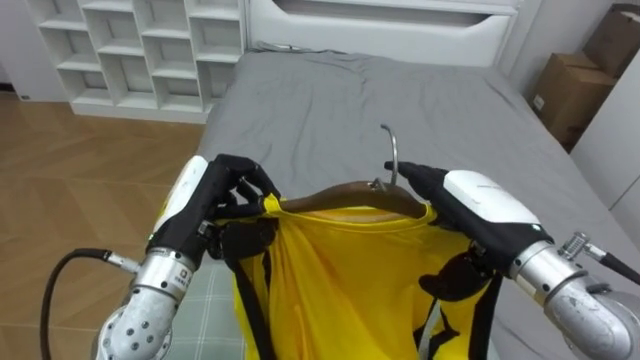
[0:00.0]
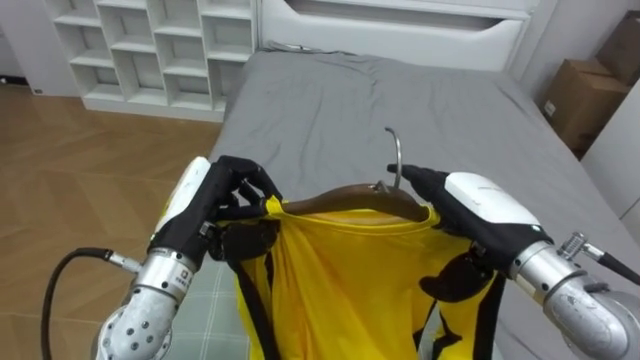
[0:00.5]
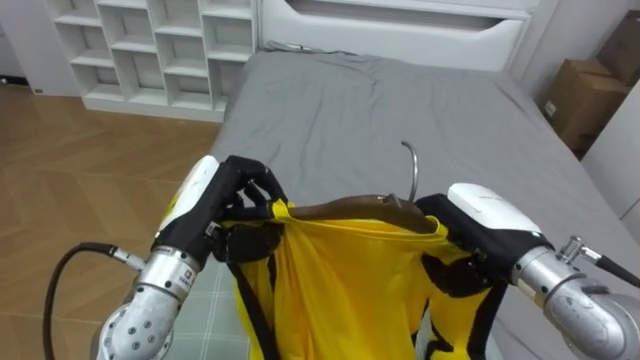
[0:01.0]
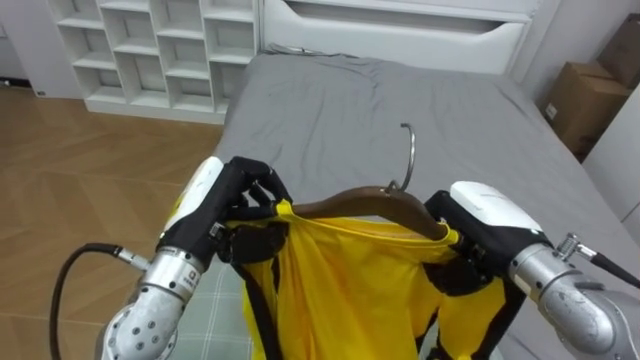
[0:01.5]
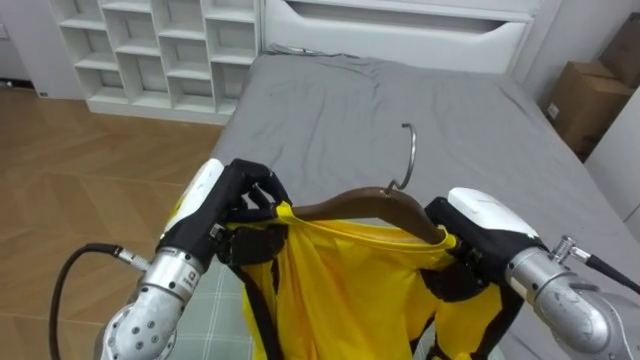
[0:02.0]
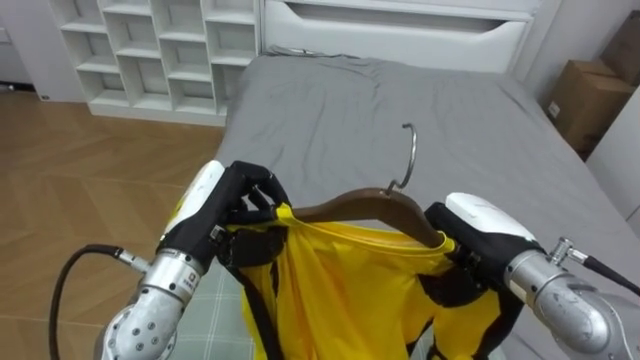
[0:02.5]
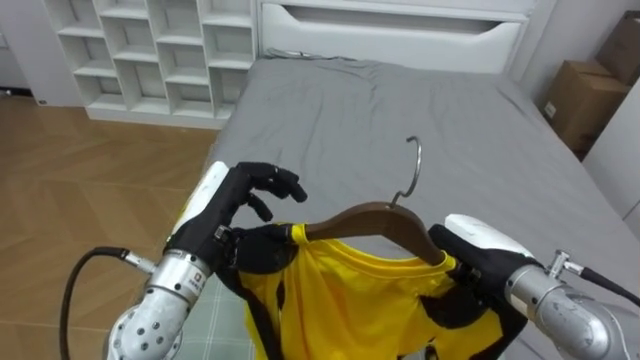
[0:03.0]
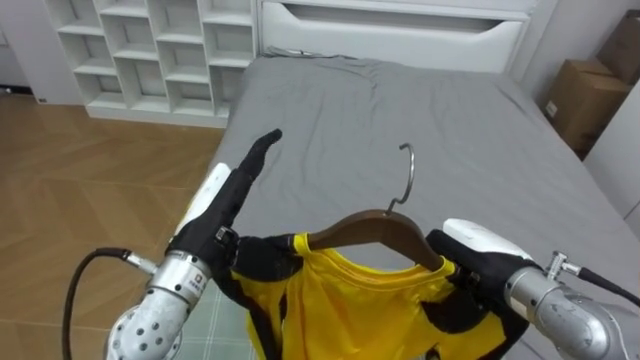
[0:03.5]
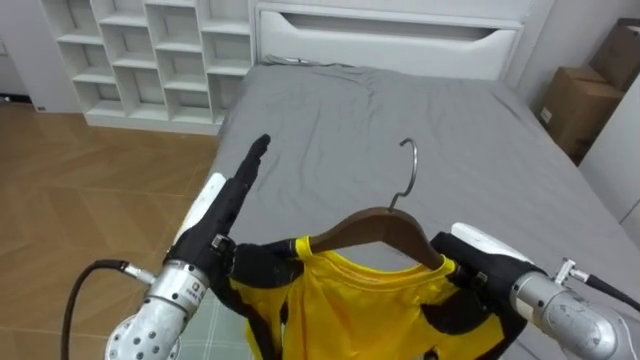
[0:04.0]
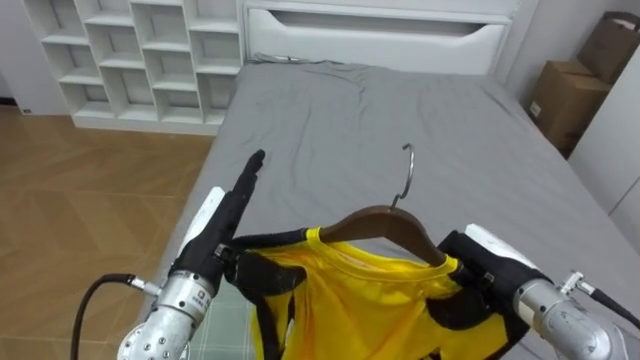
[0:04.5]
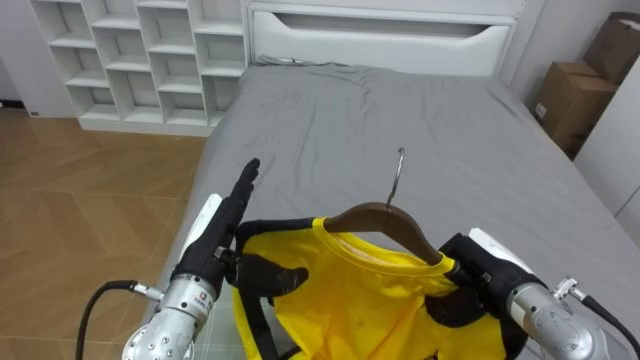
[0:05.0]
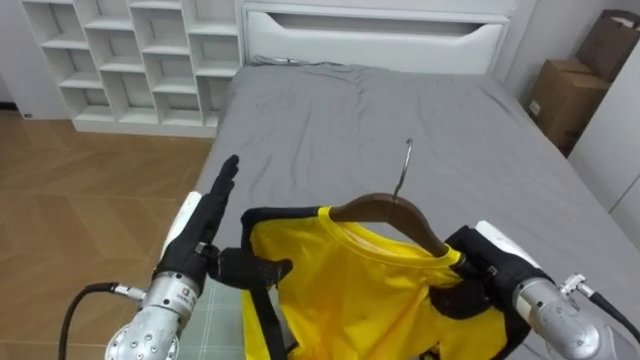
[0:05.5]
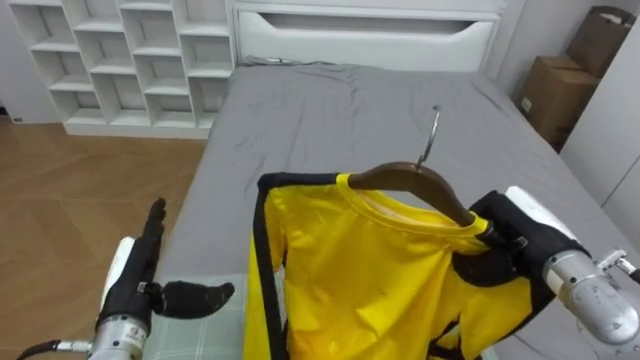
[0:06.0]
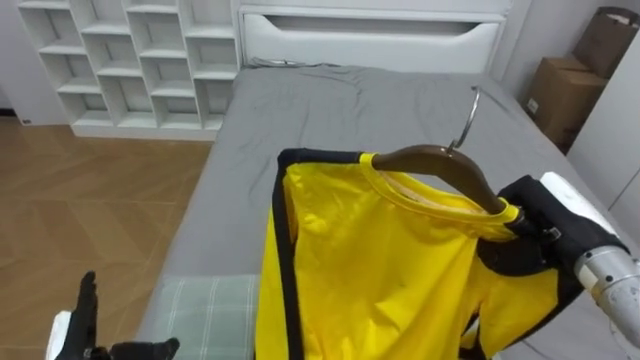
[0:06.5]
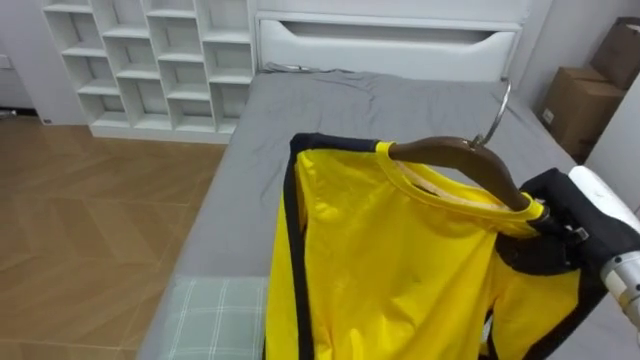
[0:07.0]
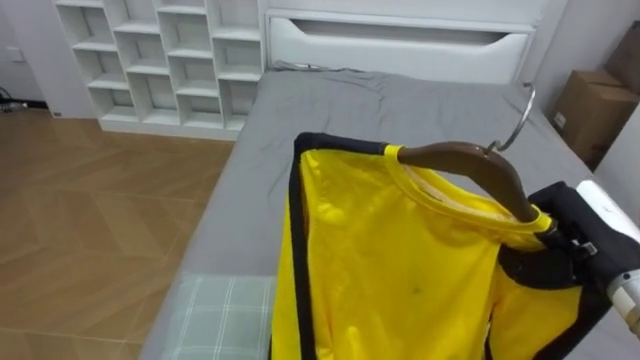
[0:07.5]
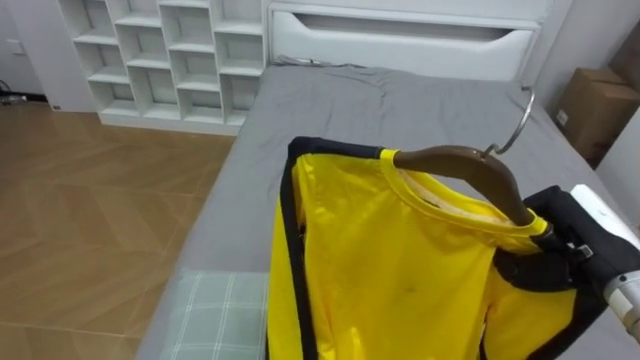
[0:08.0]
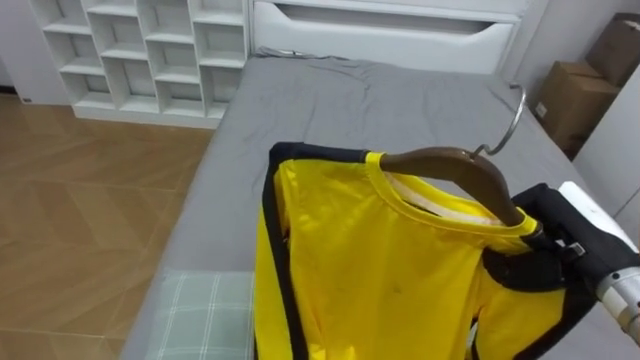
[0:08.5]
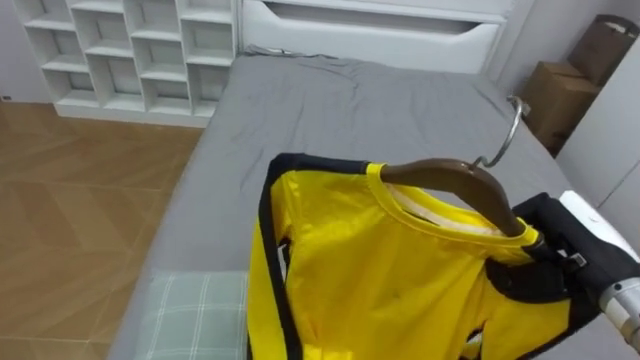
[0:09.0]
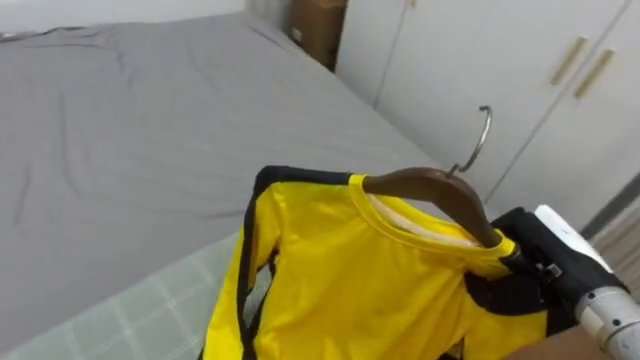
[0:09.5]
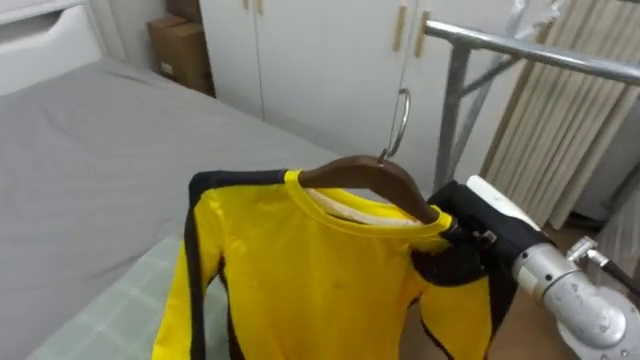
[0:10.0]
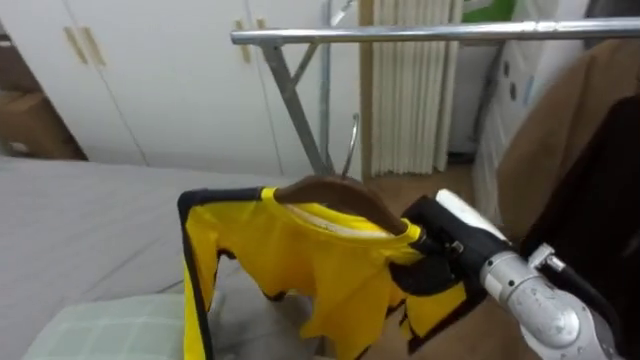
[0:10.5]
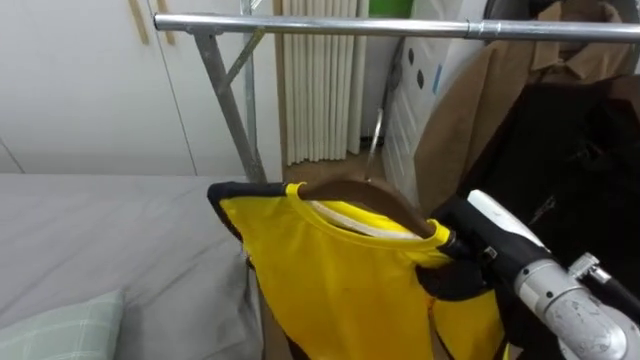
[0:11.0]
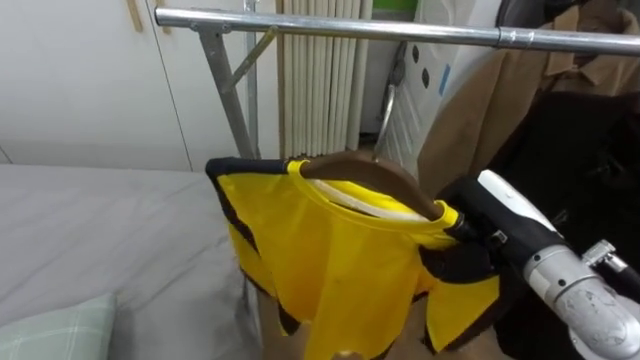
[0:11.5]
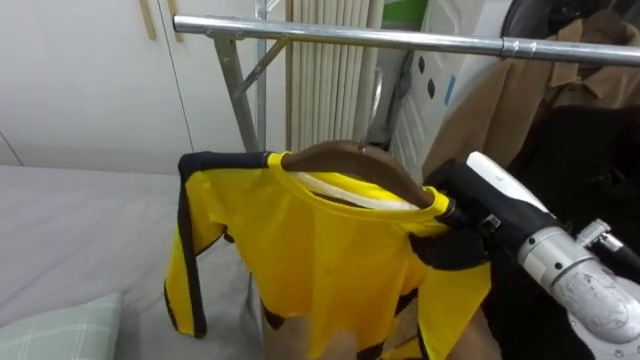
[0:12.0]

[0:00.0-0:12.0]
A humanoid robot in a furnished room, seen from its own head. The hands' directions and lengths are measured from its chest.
Task of the whole recording: Pick up the yellow shirt on the bed and hang it on the clothes rack on the right.
0:00.0 to 0:02.0: The right hand closes.
0:02.0 to 0:04.0: The left hand opens its fingers.
0:04.0 to 0:06.0: The left hand heads to the left and downward, covering some 10 cm. The right hand ends up roughly 5 cm from where it was.
0:06.0 to 0:08.0: The right hand changes place by about 5 cm.
0:08.0 to 0:10.0: The robot's body swings about 60 degrees to its right. The right hand moves to the left, some 10 cm.
0:10.0 to 0:12.0: The robot turns to its right by some 35 degrees.

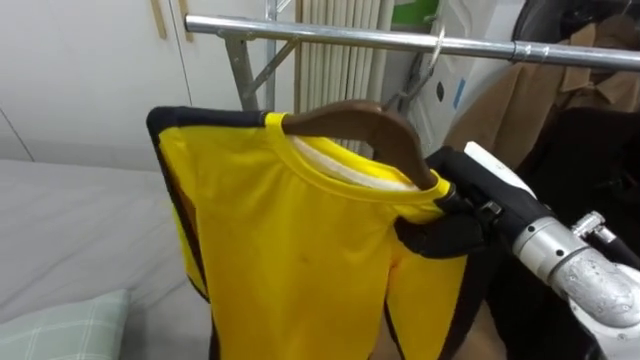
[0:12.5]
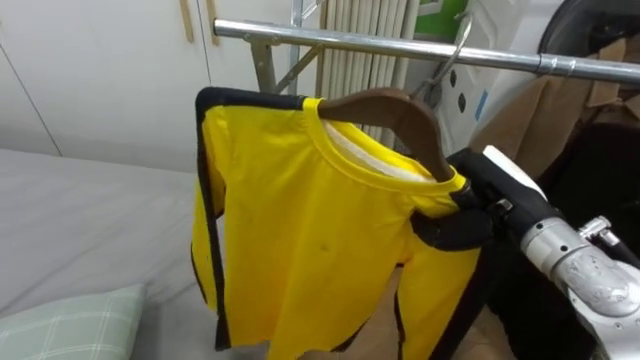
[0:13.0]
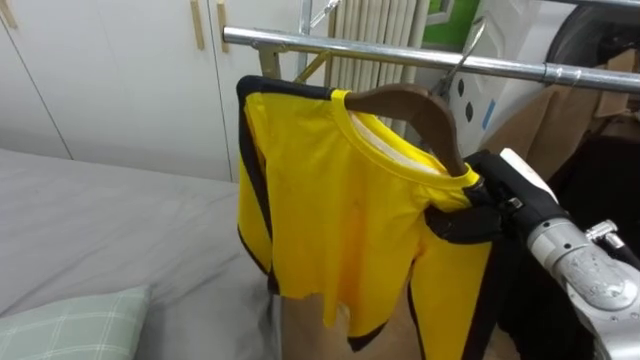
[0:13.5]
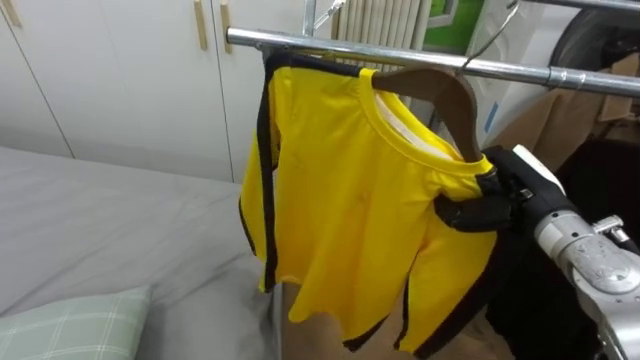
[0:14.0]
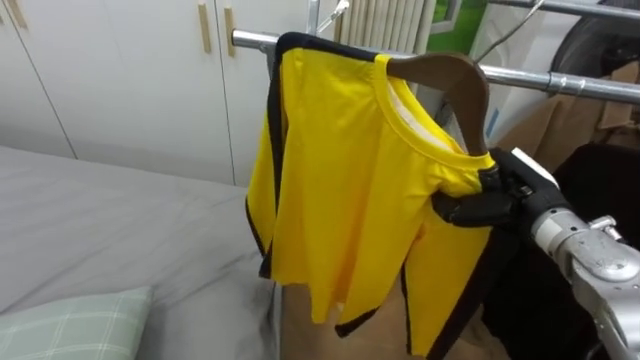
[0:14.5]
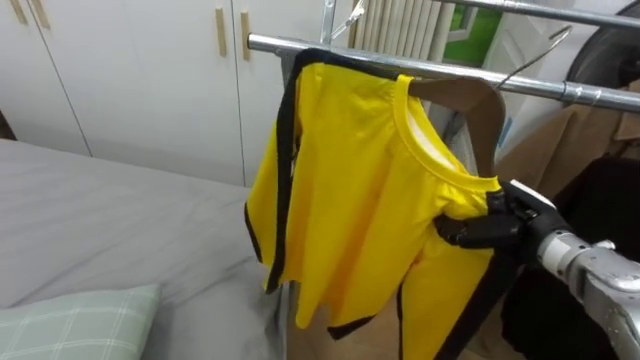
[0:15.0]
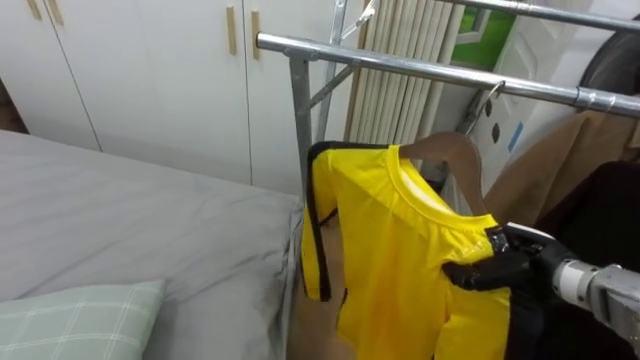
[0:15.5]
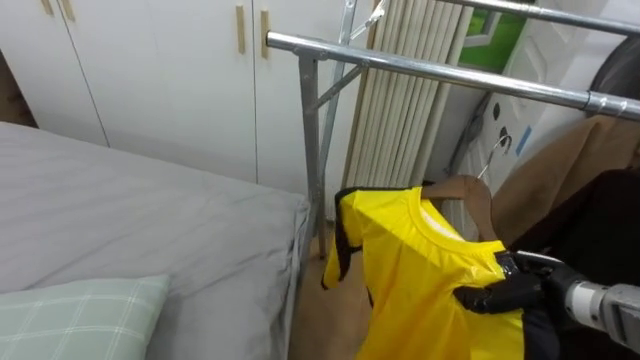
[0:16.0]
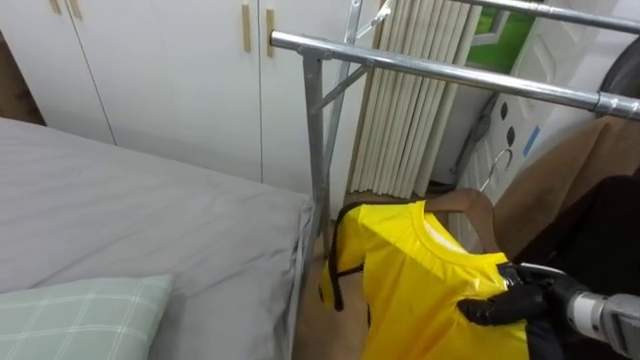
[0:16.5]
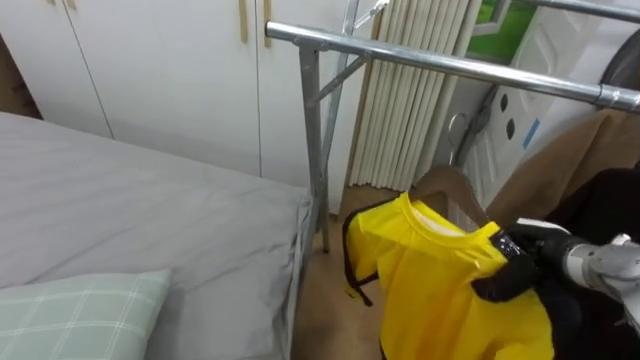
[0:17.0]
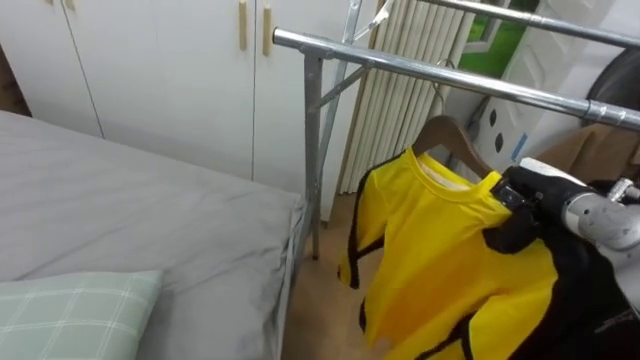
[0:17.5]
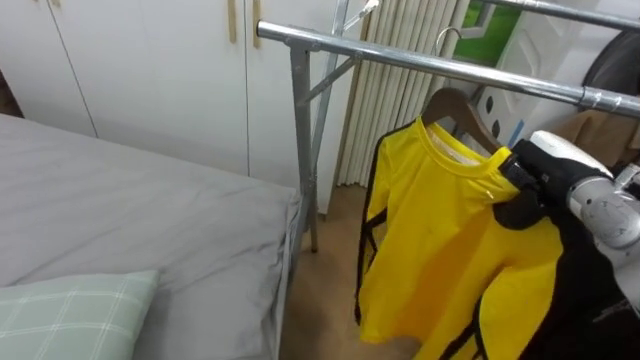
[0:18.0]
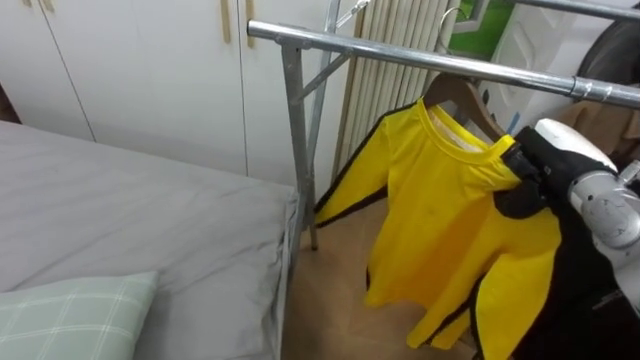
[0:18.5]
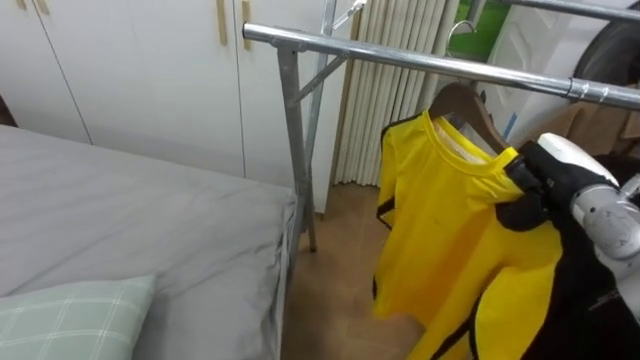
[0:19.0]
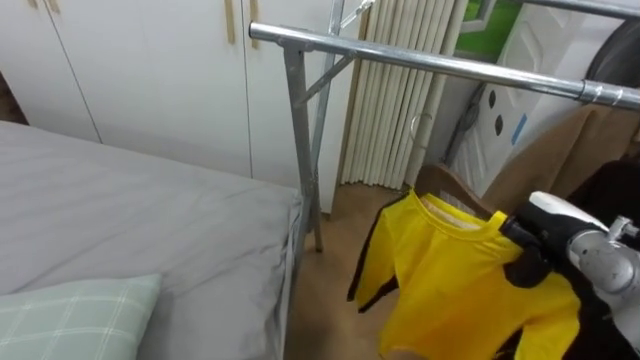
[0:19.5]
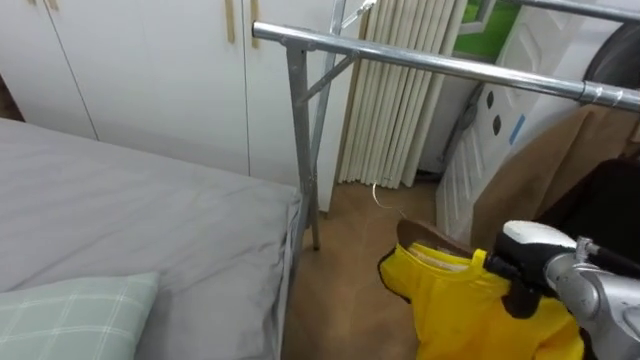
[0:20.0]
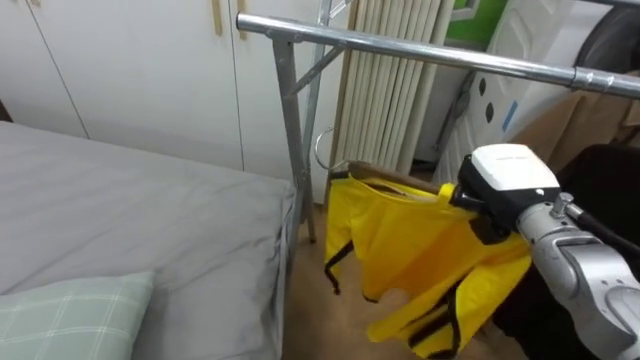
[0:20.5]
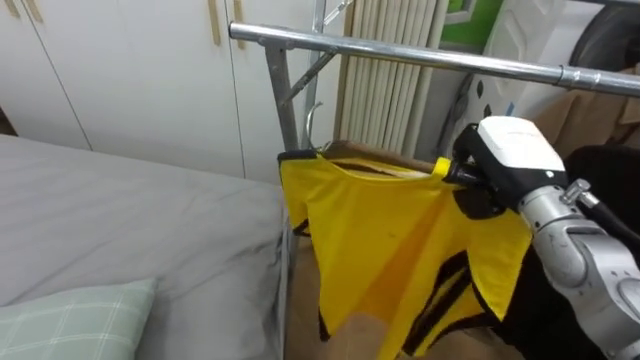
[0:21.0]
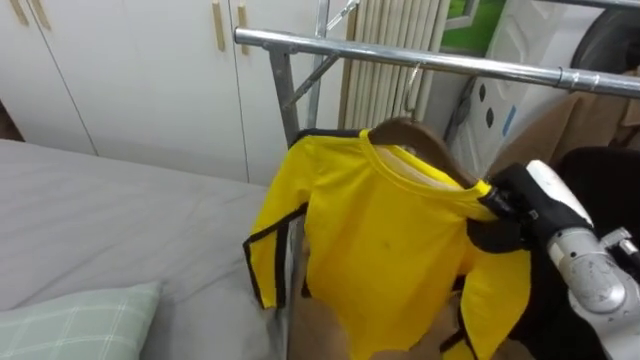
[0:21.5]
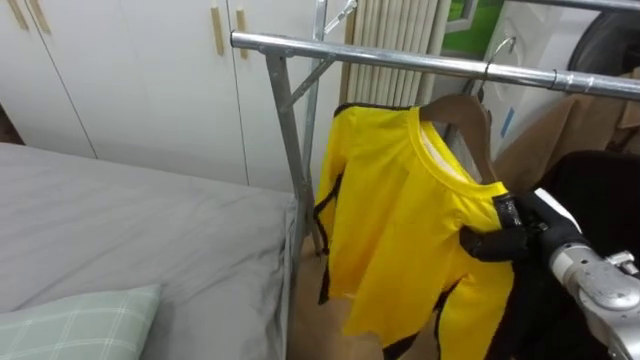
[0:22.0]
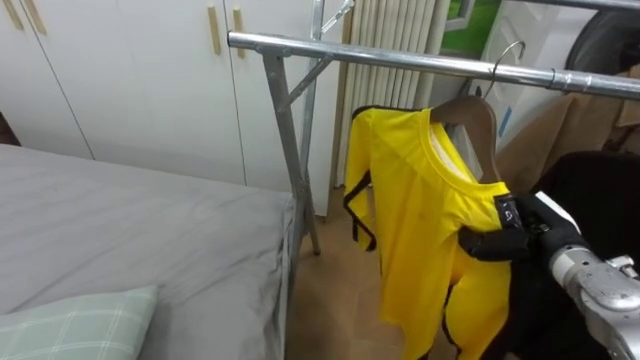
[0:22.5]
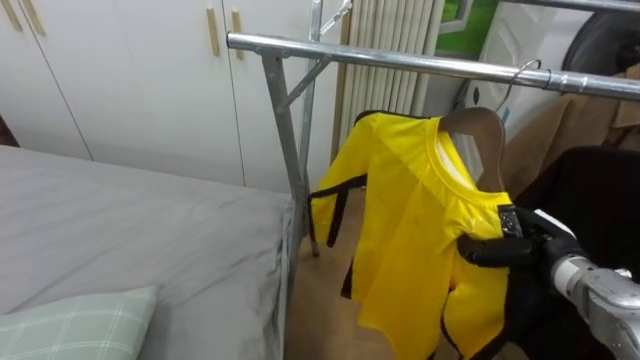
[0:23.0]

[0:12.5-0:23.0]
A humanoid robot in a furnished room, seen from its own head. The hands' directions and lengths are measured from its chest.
Task of the whole recording: Pick up the yellow shirt on the bed and hang it on the clothes rack on the right.
0:12.5 to 0:14.5: The right hand moves to the right and forward, roughly 10 cm.
0:14.5 to 0:16.5: The right hand moves downward and backward, approximately 15 cm.
0:16.5 to 0:19.0: The right hand goes some 15 cm upward and forward.
0:19.0 to 0:21.0: The right hand goes roughly 5 cm to the left, and goes downward and returns, approximately 10 cm each way.
0:21.0 to 0:23.0: The right hand travels downward and to the right by some 15 cm.
